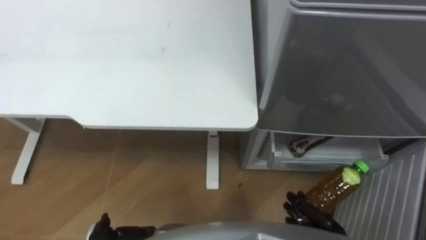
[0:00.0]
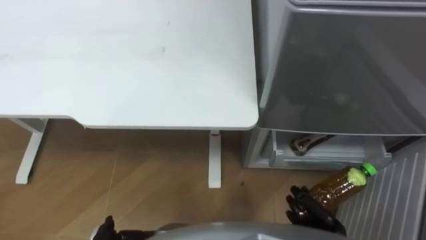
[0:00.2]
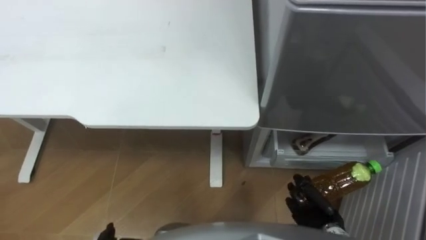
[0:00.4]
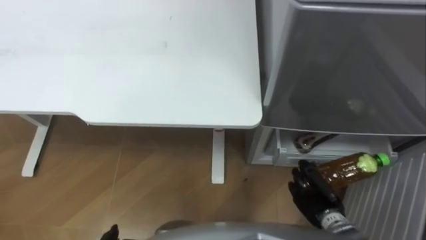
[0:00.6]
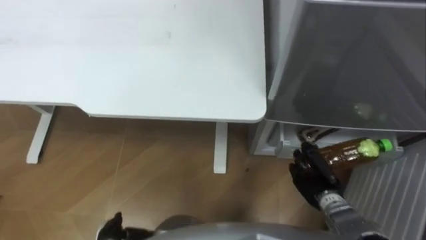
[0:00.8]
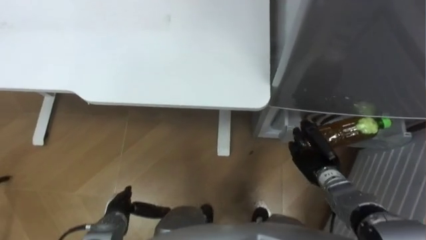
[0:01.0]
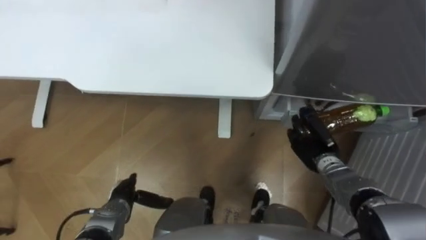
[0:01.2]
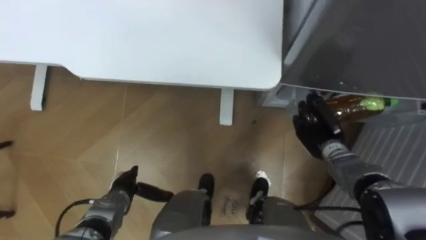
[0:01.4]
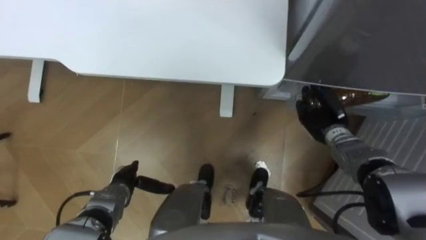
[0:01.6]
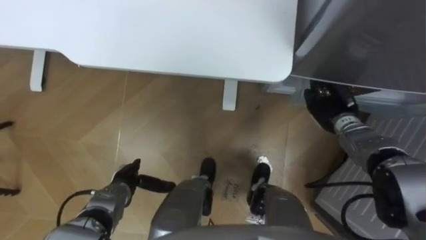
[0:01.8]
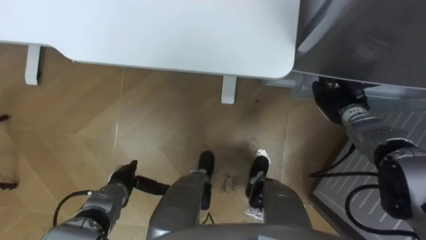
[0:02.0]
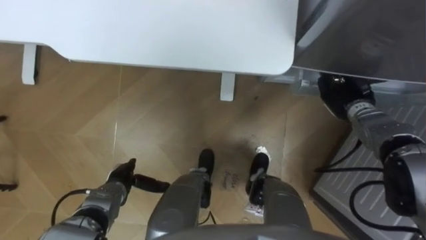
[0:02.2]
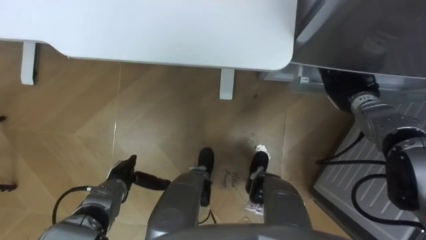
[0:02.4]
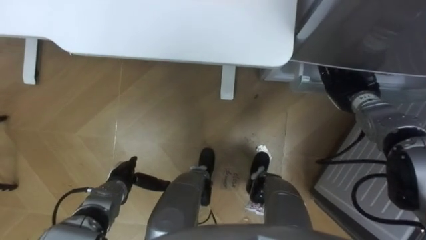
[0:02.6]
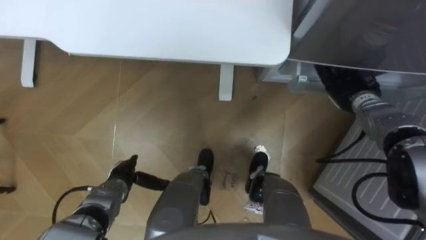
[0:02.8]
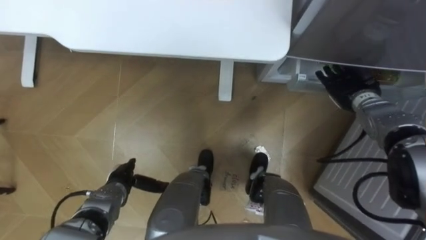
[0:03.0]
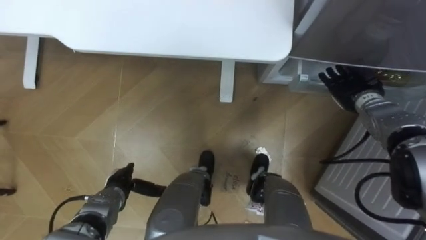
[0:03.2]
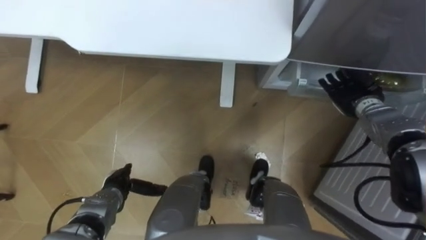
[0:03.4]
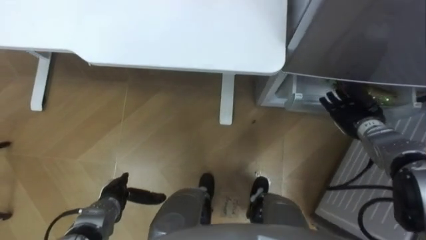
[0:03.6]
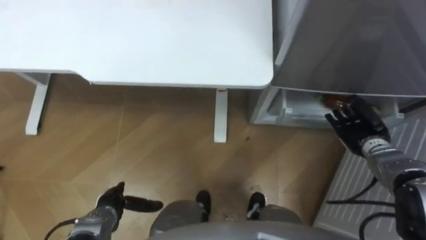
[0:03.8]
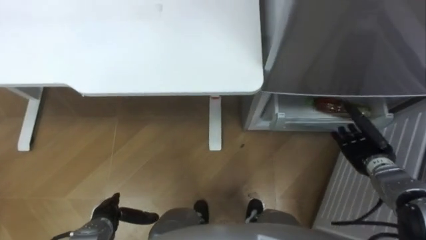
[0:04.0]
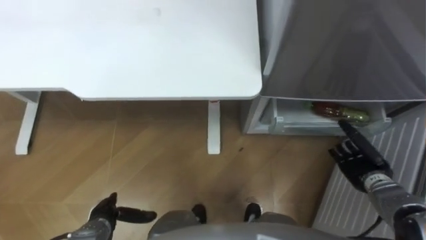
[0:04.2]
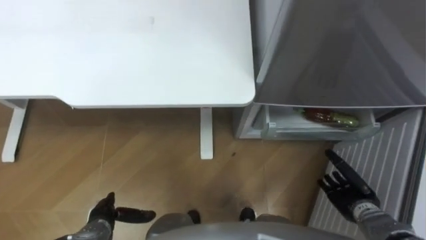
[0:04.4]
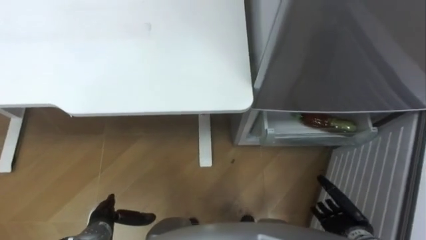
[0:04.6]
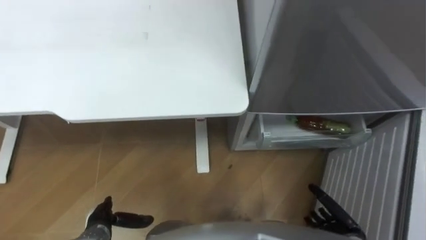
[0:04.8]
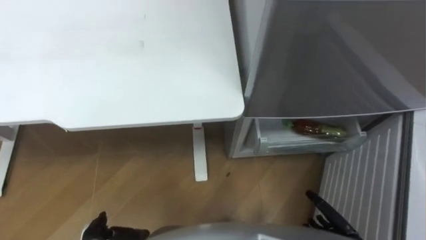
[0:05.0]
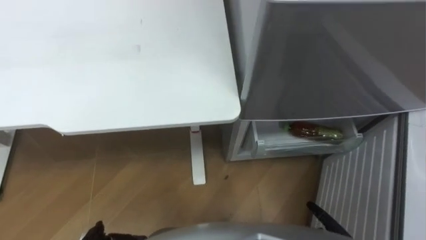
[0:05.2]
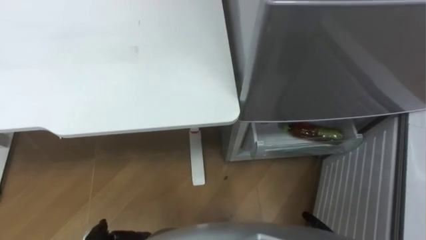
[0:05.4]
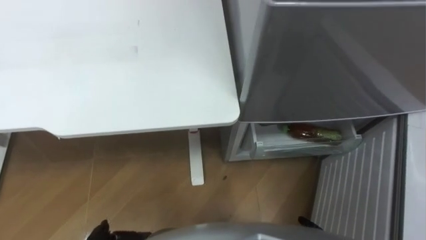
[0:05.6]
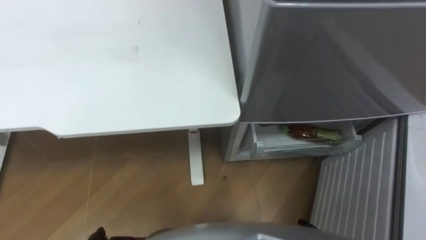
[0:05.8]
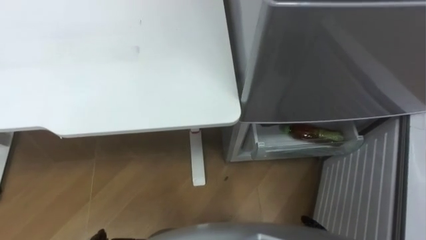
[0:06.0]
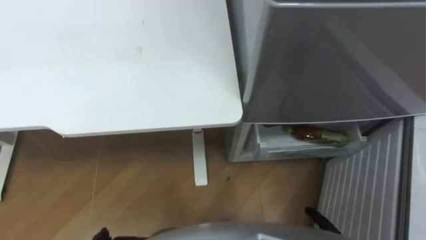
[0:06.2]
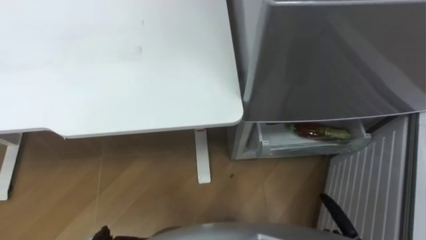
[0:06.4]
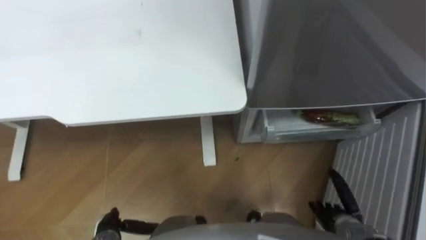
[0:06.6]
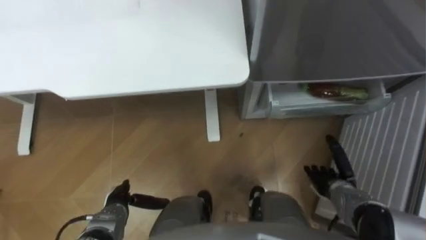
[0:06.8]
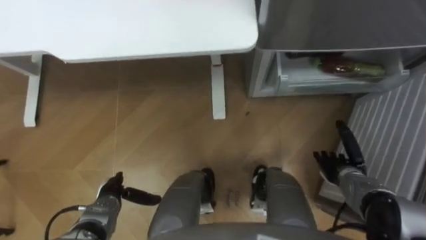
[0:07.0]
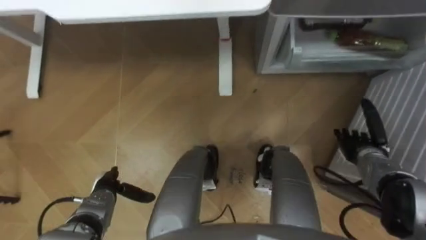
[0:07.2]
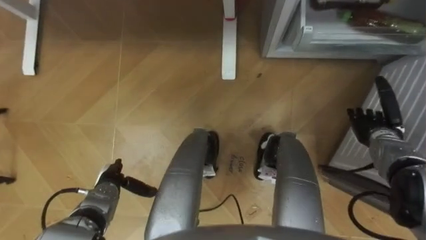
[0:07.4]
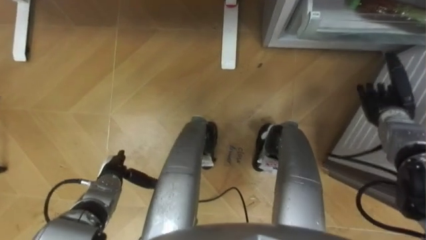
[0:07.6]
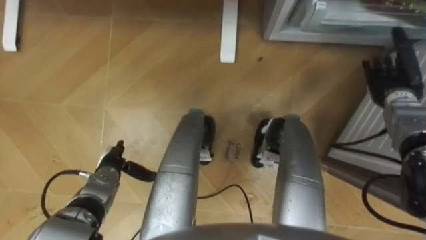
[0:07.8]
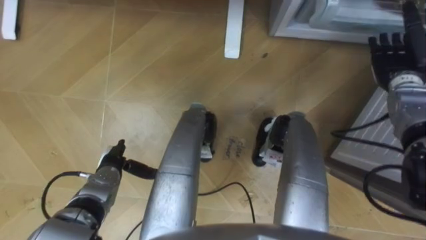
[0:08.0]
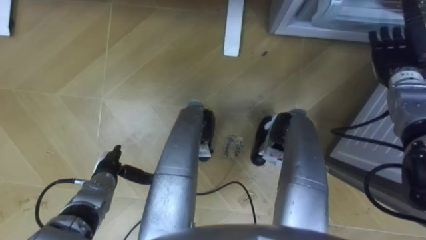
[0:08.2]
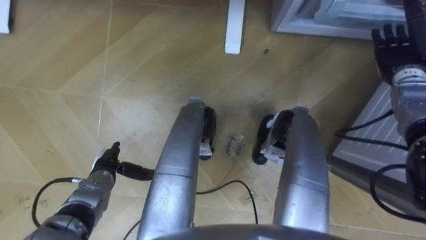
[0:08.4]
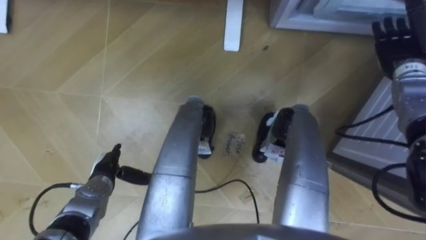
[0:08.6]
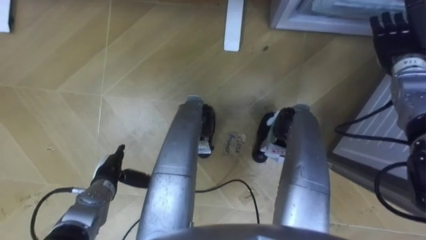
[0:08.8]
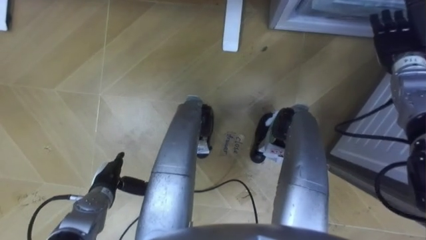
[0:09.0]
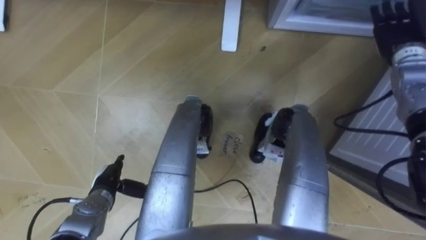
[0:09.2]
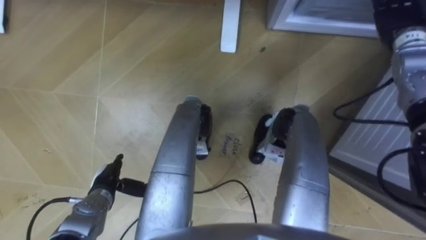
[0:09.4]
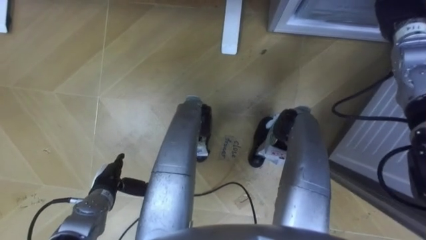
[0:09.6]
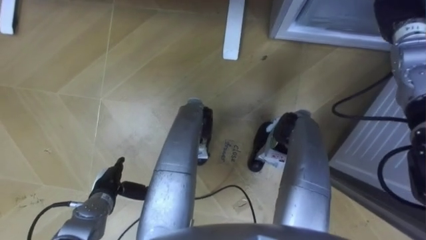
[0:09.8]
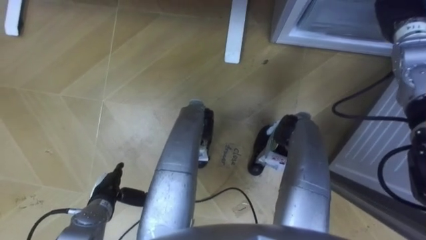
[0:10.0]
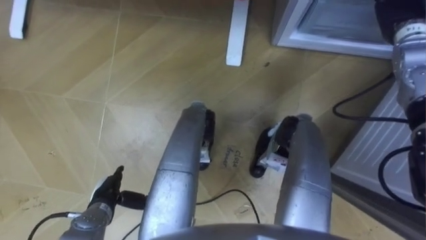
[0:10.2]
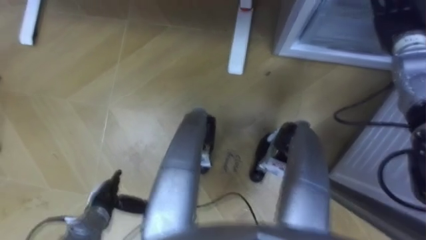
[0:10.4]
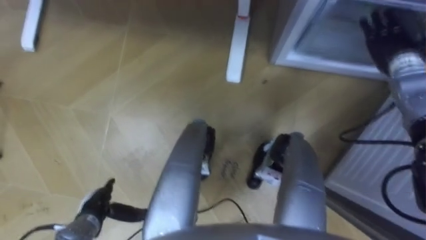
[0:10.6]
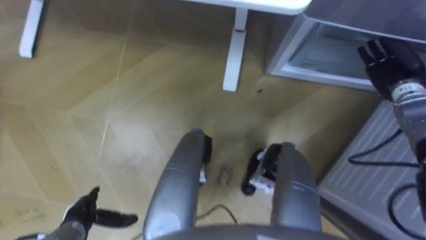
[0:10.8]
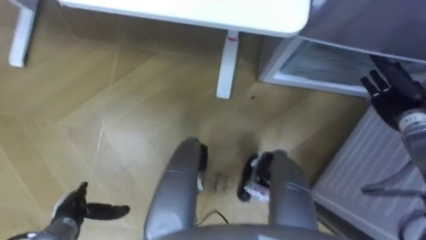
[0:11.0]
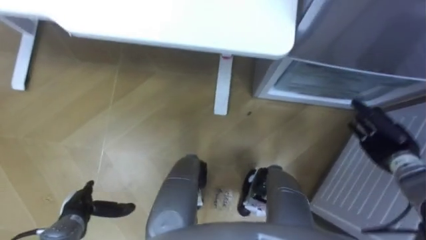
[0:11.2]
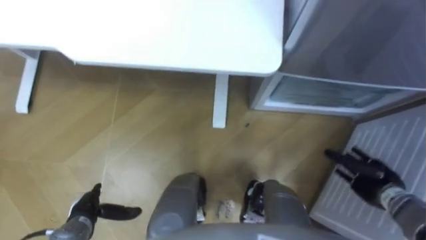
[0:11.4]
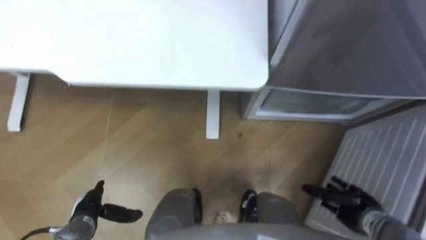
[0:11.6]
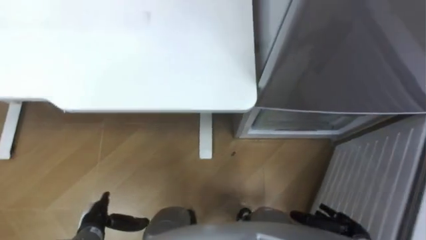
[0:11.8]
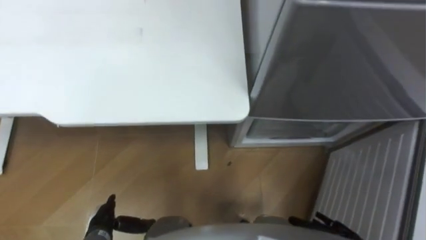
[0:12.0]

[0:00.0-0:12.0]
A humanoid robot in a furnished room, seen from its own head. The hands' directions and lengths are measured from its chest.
Task of the whole recording: Place the drink on the table on the bottom shelf of the refrigerator, then close the drawer and the refrigerator door.
0:00.0 to 0:01.6: The right hand is displaced forward by about 25 cm.
0:01.6 to 0:03.0: The right hand goes about 10 cm forward, upward and to the right, and opens its fingers.
0:03.0 to 0:04.4: The left hand travels backward by some 10 cm. The right hand moves backward and downward, about 25 cm.
0:07.6 to 0:09.0: The right hand moves upward and forward, roughly 15 cm.
0:10.4 to 0:12.0: The left hand changes place by some 5 cm.

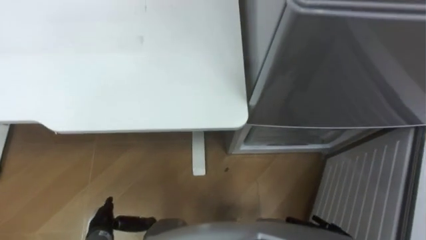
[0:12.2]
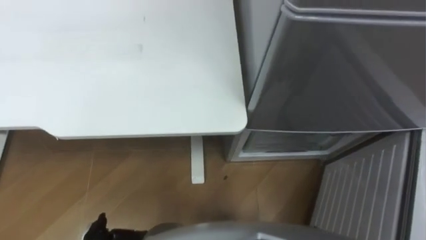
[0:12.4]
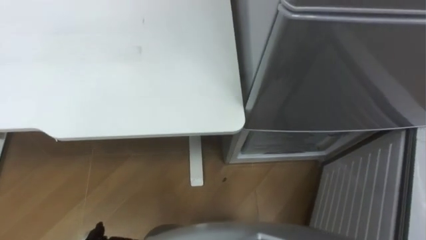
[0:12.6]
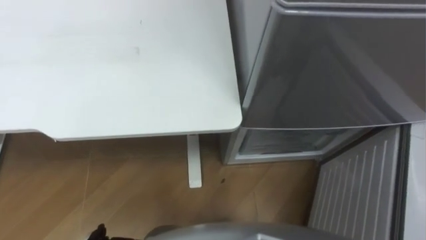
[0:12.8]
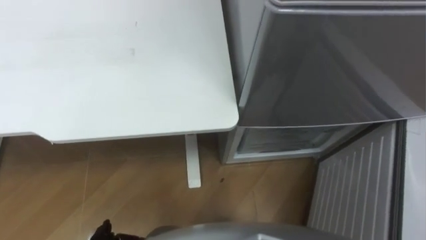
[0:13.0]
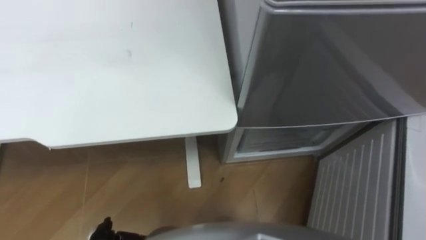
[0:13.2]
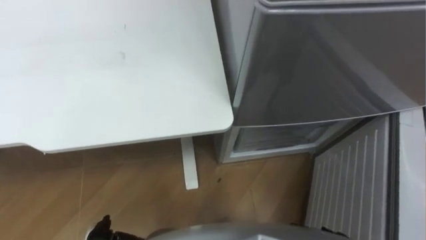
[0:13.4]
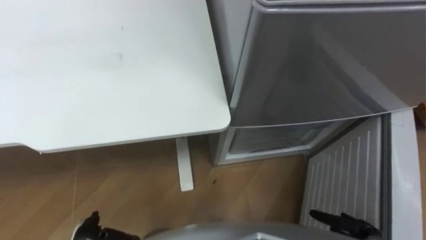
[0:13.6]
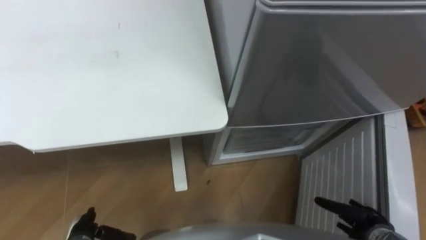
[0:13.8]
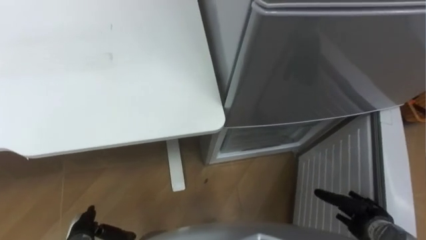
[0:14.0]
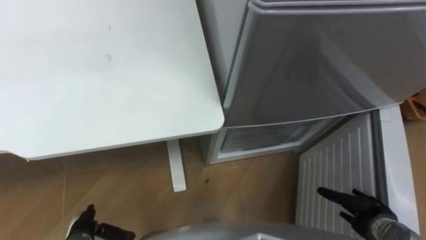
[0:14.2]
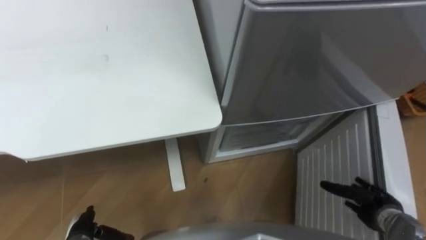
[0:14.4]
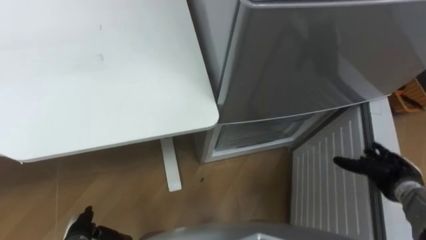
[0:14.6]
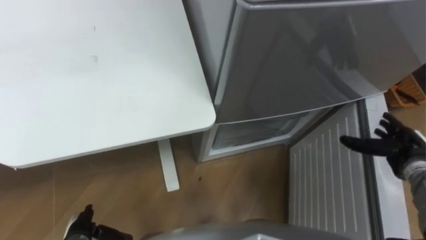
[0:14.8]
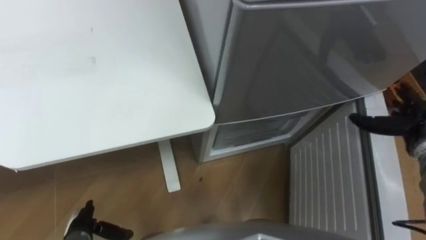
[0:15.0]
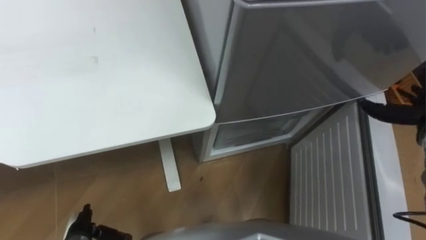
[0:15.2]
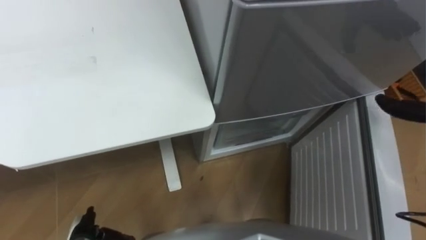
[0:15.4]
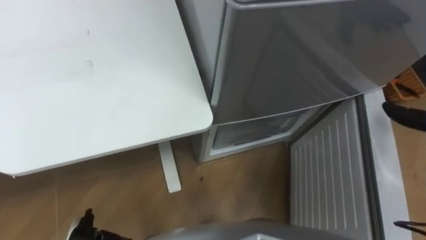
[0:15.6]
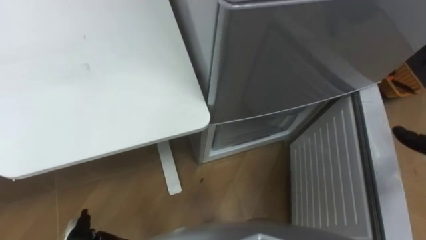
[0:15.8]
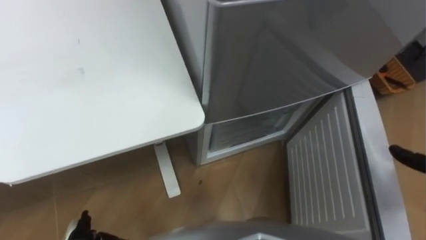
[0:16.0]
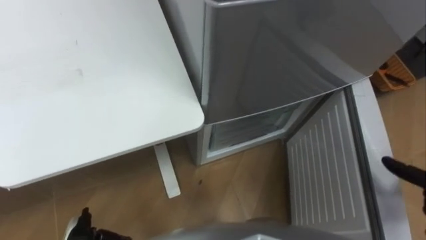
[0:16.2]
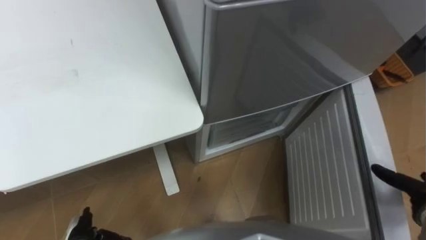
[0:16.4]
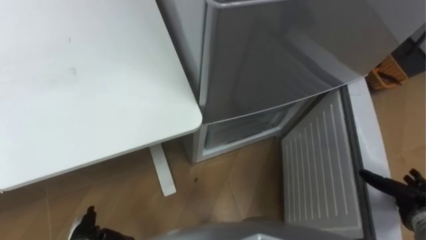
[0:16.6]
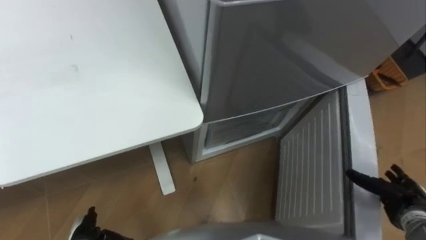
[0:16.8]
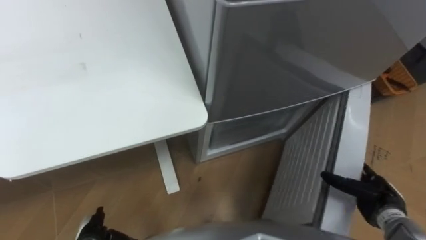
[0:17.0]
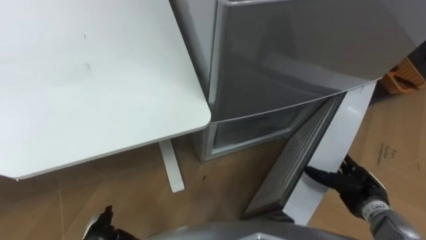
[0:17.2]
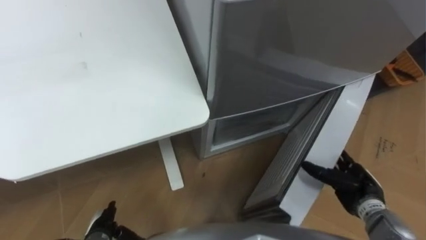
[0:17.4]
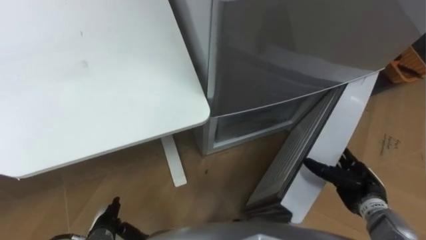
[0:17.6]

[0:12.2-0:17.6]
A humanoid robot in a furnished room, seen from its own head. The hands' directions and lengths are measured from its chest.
Task of the whole recording: Place the drink on the table on the bottom shelf of the refrigerator, then close the drawer and the refrigerator door.
0:16.2 to 0:17.6: The left hand changes place by about 5 cm.
